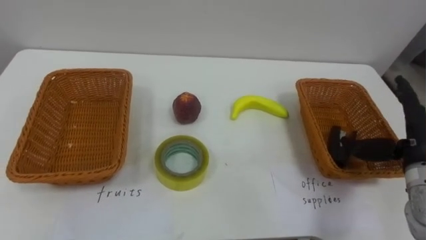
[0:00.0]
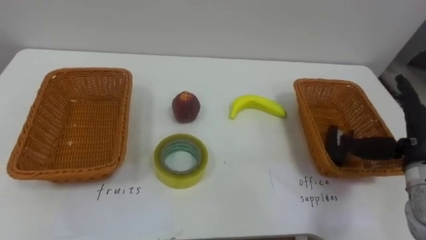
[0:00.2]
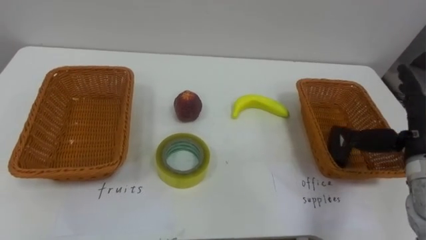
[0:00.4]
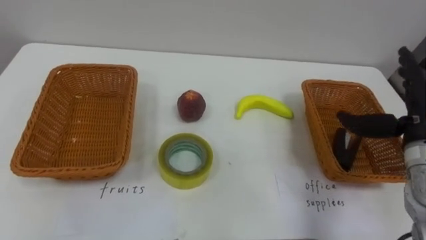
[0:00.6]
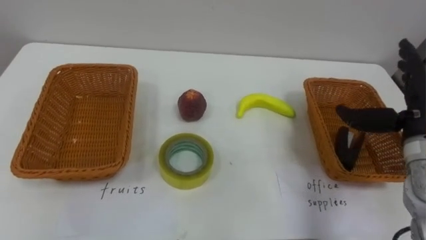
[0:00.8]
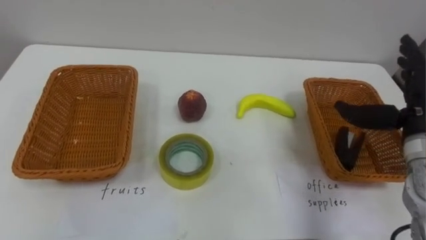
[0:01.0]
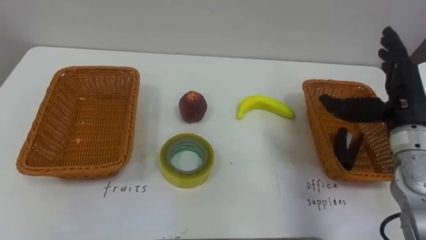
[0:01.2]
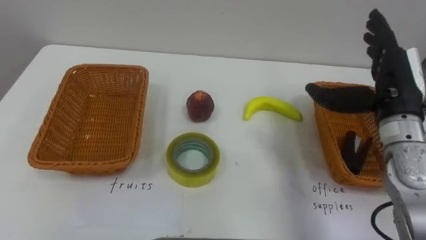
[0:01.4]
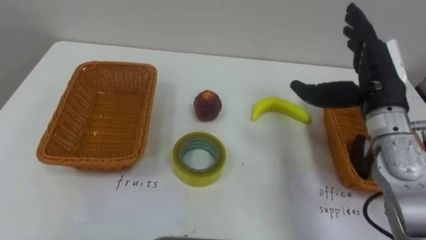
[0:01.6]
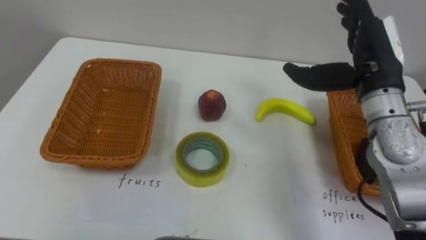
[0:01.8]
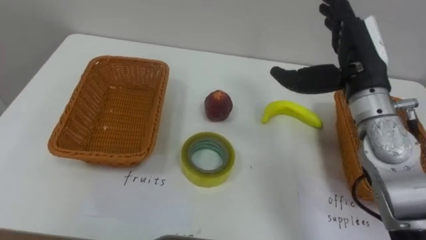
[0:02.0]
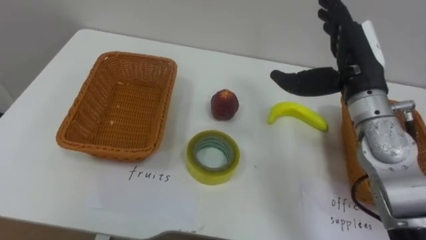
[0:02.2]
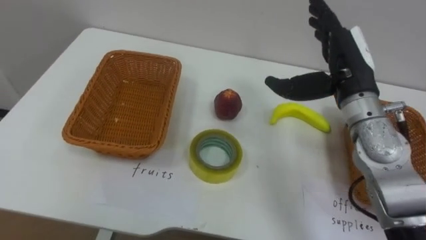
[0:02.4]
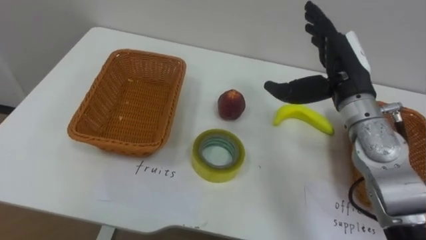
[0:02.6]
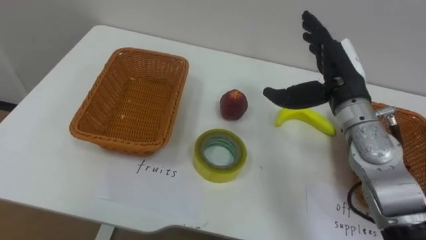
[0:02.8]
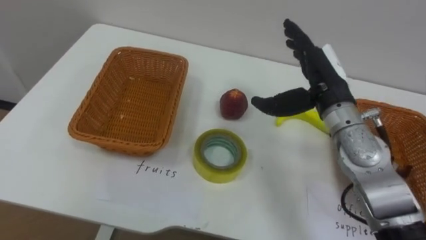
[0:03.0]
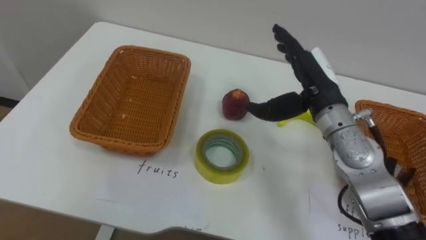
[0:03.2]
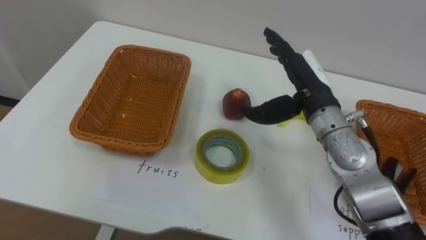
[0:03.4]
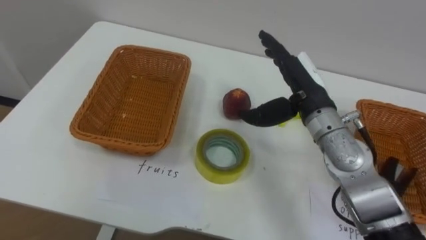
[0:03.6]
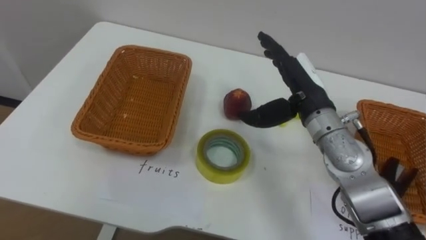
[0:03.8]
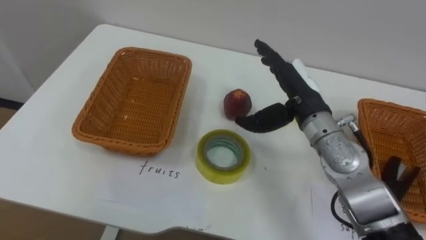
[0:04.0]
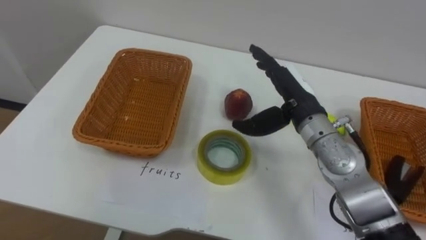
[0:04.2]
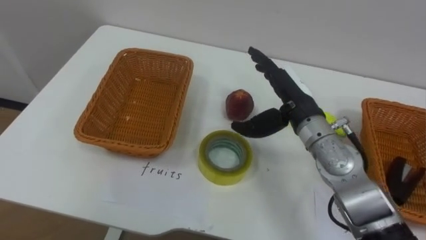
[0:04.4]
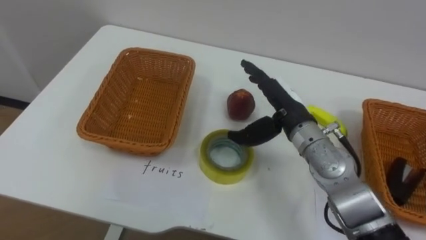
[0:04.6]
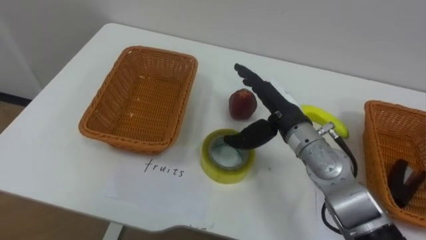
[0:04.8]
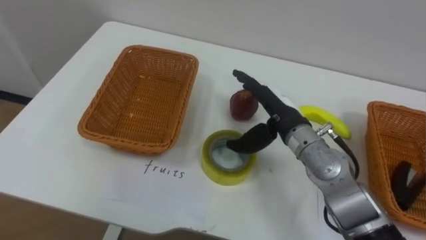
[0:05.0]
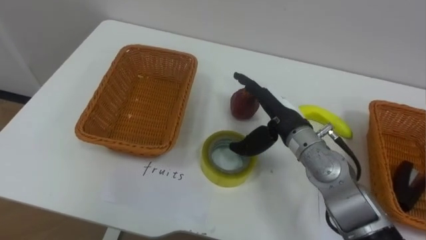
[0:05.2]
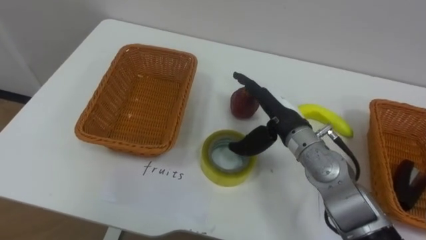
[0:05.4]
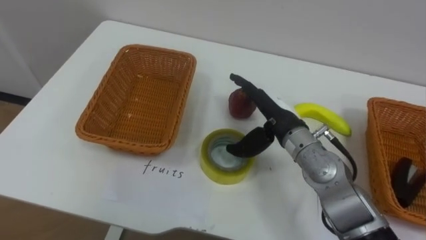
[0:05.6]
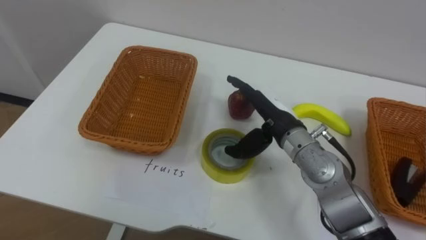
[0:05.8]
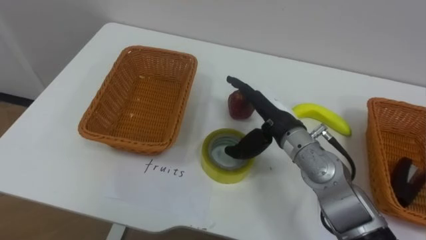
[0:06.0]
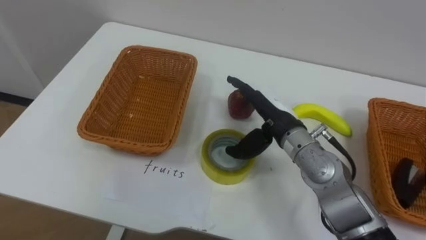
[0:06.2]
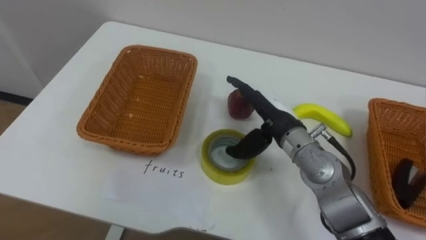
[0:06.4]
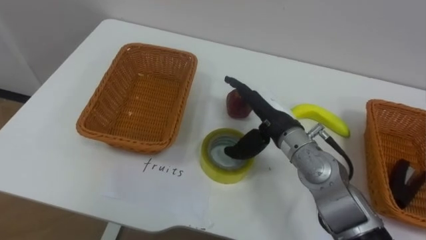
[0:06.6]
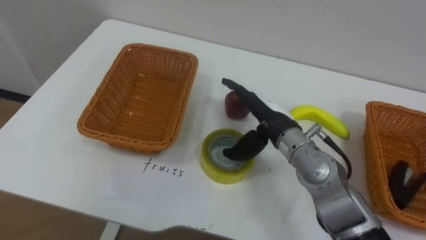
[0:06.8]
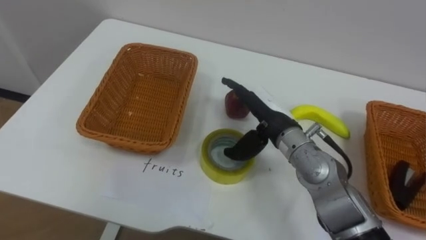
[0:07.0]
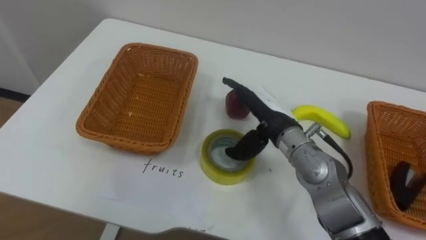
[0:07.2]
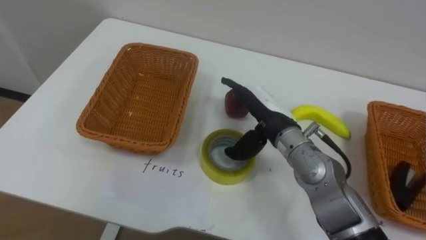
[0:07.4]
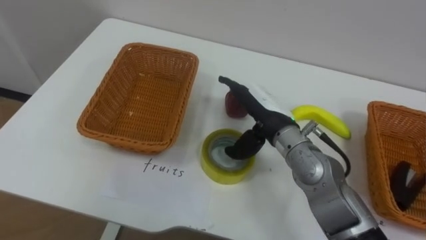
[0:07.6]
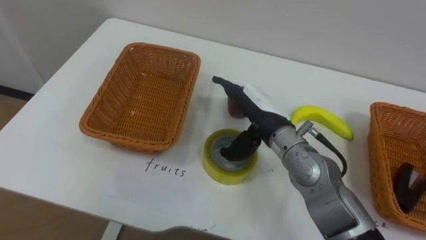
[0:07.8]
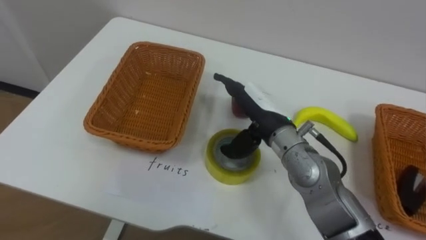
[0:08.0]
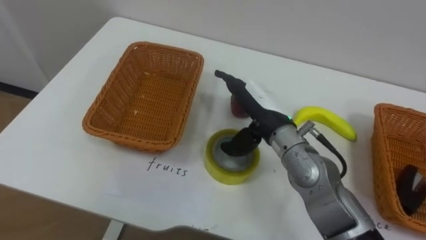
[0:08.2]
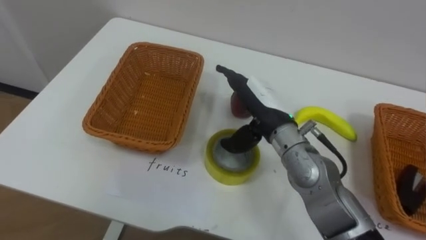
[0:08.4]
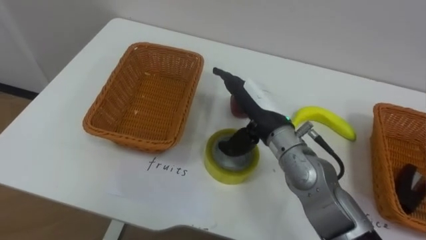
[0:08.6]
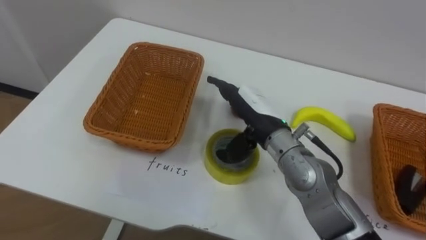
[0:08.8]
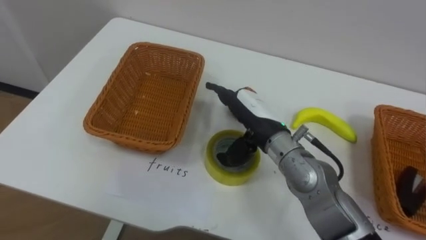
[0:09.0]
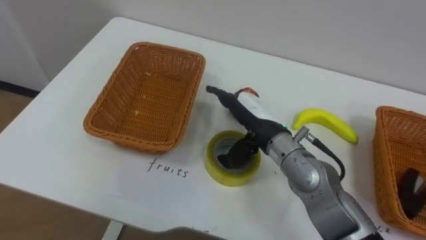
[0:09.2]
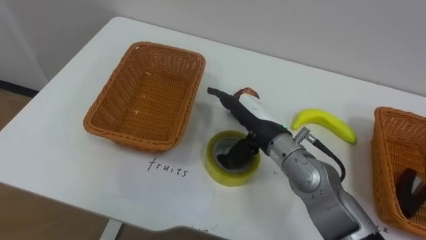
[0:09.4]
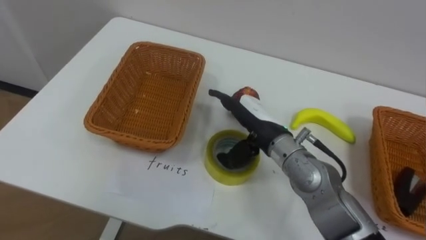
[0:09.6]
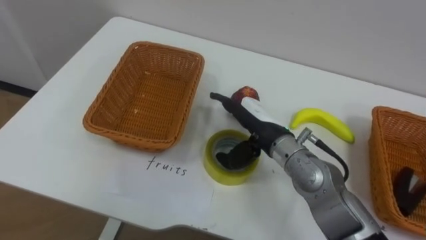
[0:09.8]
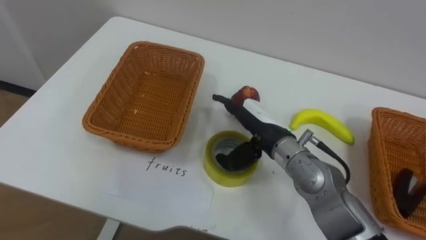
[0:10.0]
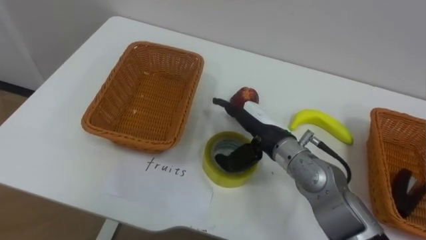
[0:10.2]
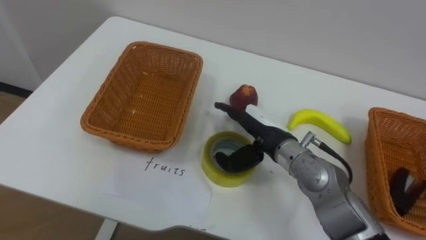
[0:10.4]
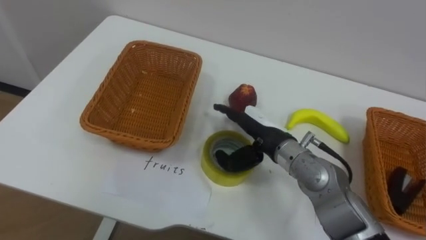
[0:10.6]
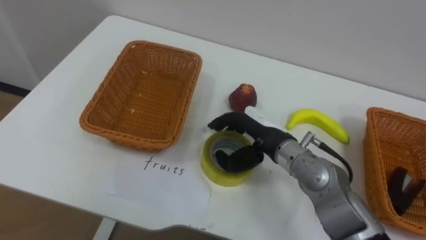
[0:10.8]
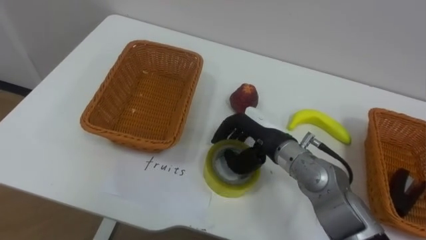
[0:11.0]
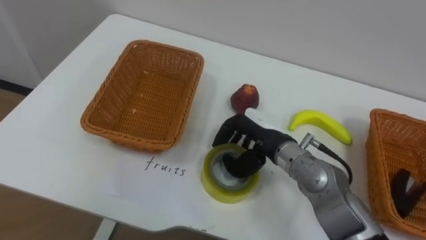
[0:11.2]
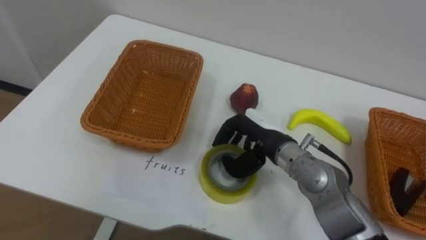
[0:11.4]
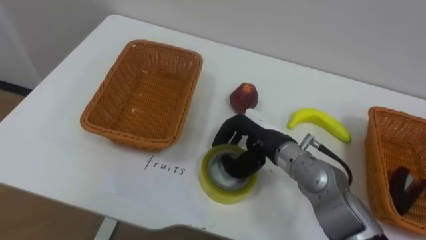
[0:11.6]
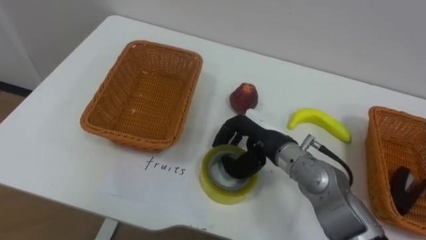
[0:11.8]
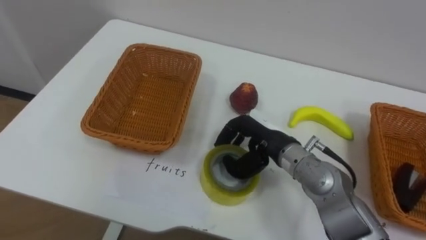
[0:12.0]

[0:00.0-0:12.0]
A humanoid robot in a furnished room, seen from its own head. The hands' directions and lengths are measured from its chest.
Task of the whole recording: Separate the items on the table and place them into the two baskets.
0:00.0 to 0:01.6: The right hand shifts roughly 15 cm to the left, upward and forward.
0:01.6 to 0:03.0: The right hand heads to the left, covering roughly 5 cm.
0:03.0 to 0:04.4: The right hand ends up about 5 cm from where it was.
0:10.4 to 0:12.0: The right hand closes its fingers.

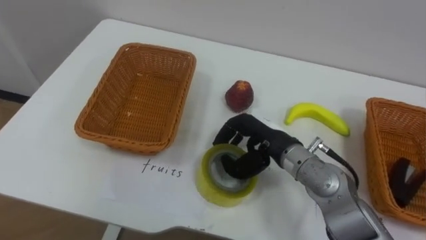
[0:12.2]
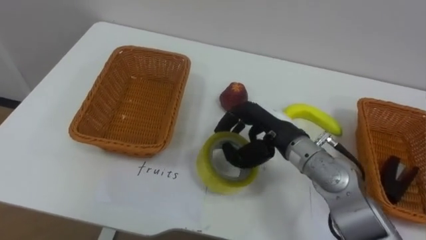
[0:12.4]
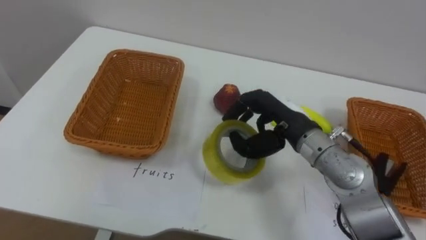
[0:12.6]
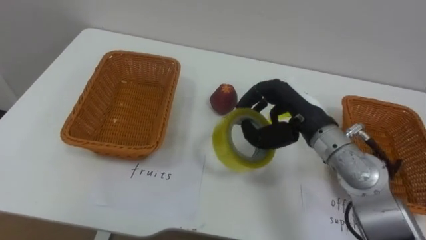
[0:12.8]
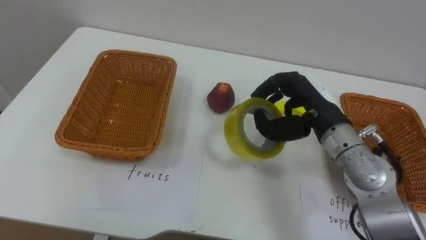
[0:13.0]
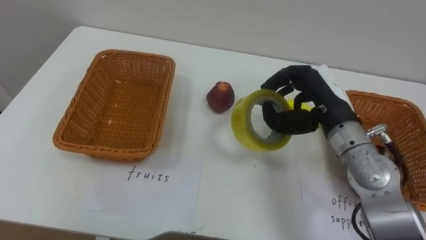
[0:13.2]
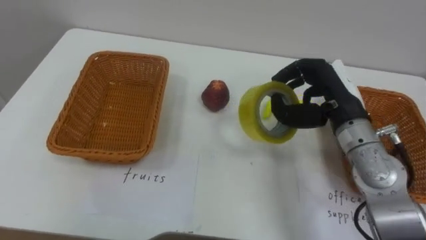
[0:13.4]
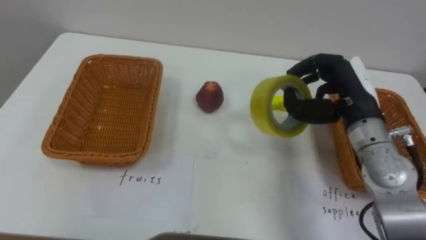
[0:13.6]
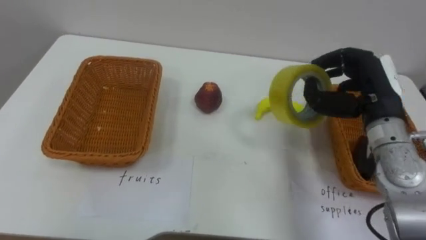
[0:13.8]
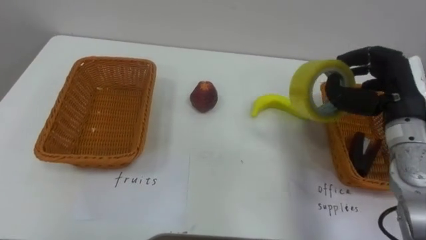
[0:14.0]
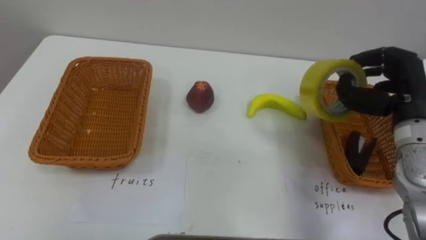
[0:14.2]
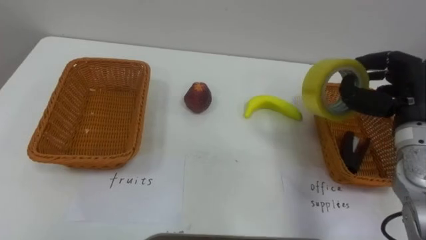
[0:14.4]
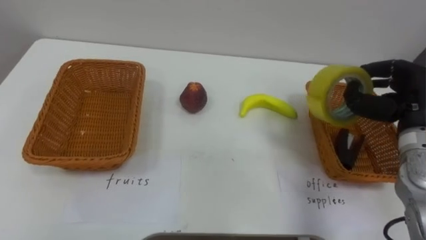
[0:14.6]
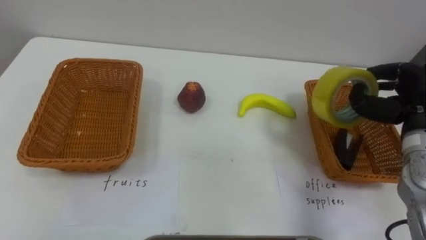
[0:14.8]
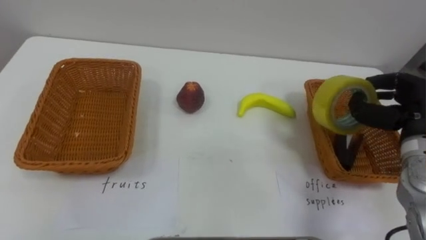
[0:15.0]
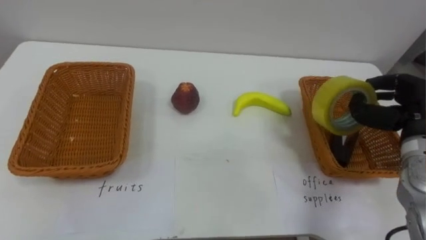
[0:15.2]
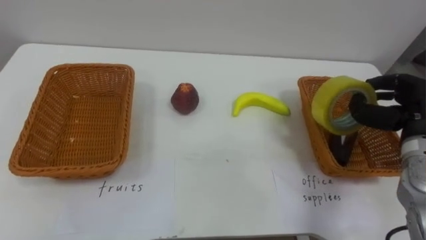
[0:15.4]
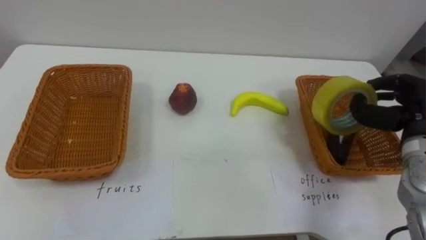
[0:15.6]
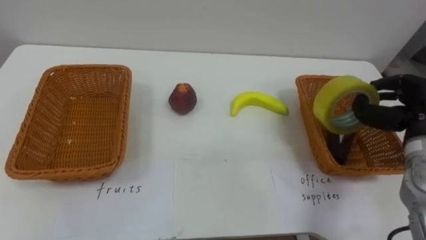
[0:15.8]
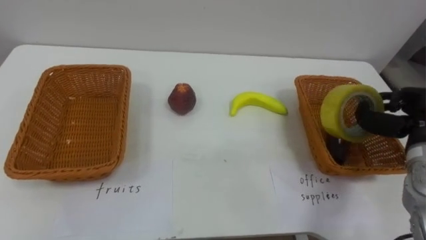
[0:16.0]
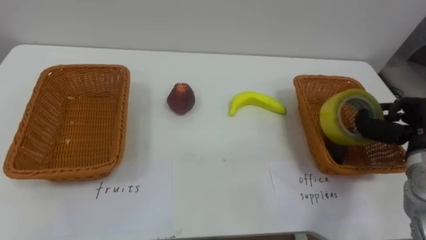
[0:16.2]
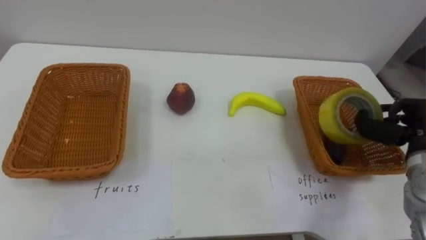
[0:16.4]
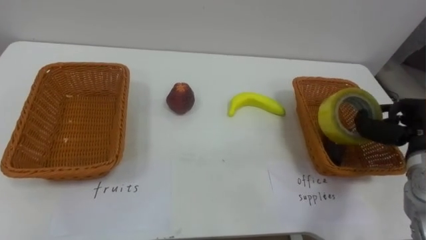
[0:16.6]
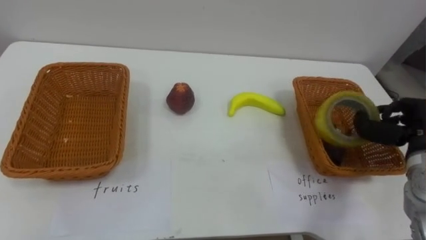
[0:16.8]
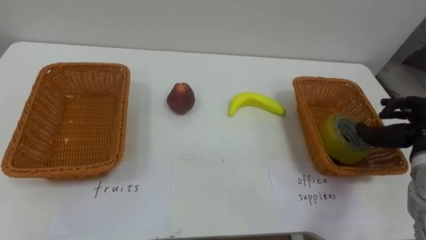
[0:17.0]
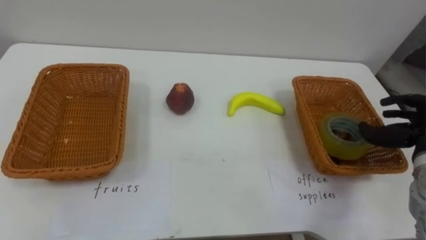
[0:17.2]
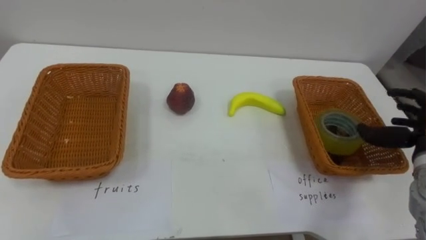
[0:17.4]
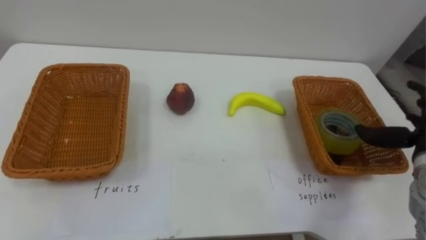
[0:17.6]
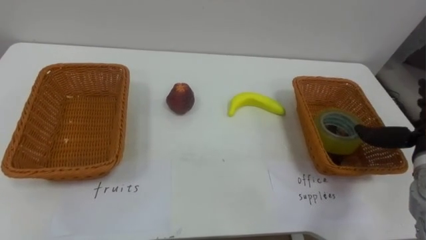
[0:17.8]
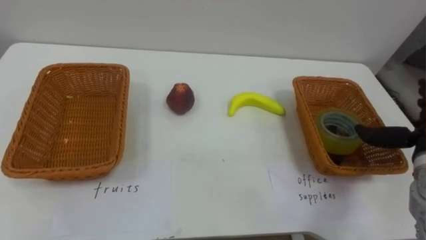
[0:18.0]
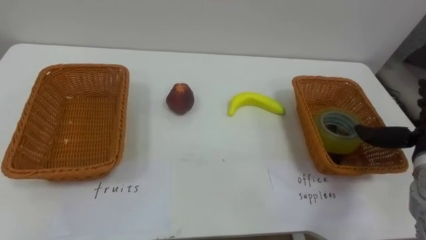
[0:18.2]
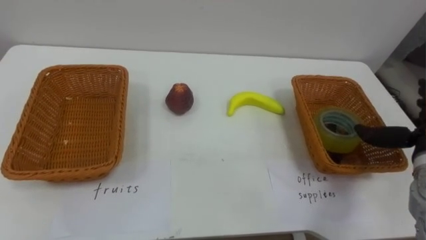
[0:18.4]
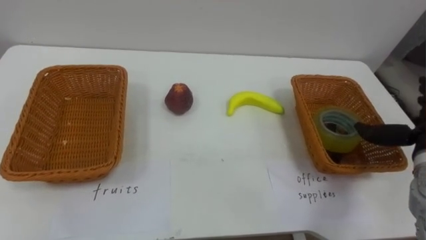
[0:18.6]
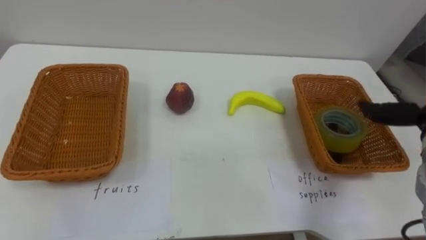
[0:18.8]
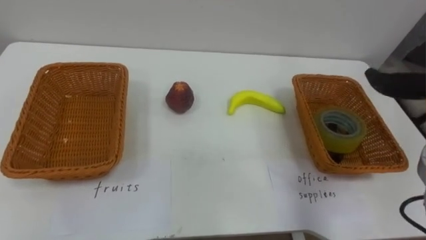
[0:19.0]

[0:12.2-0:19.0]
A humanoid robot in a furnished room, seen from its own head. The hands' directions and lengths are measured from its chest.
Task of the whole recording: Separate the items on the table and place them into the two baskets.
0:12.2 to 0:13.6: The right hand heads to the right and upward, covering approximately 15 cm.
0:13.6 to 0:15.0: The right hand shifts some 10 cm to the right.
0:16.2 to 0:17.6: The right hand opens its fingers.
